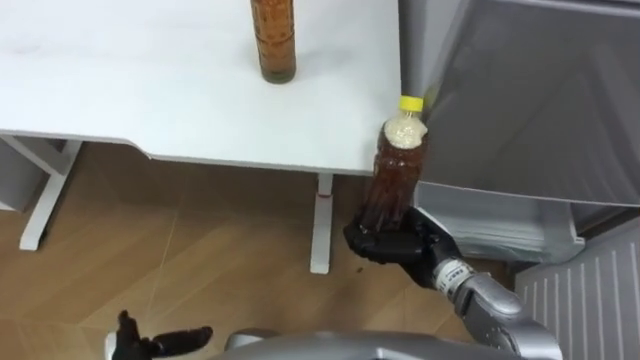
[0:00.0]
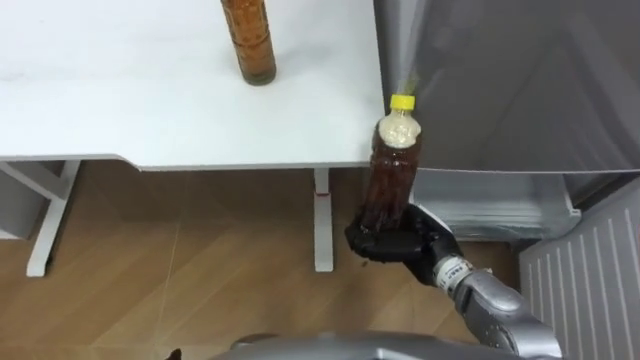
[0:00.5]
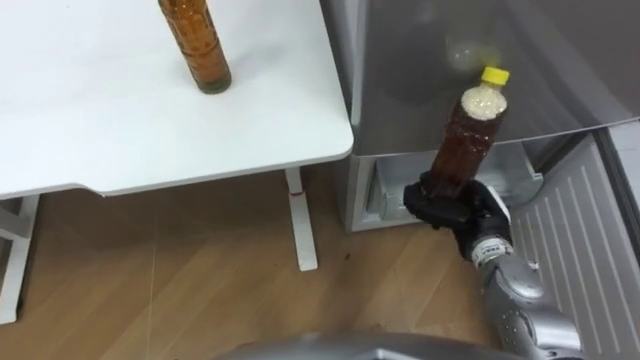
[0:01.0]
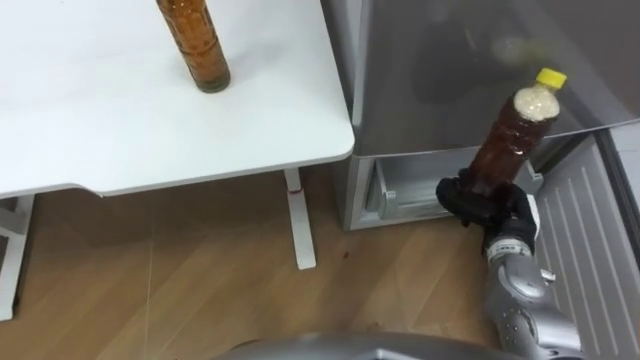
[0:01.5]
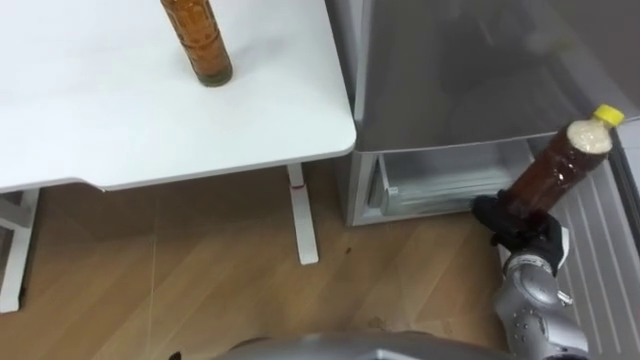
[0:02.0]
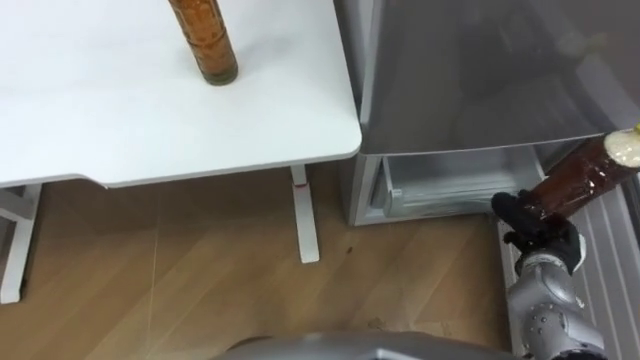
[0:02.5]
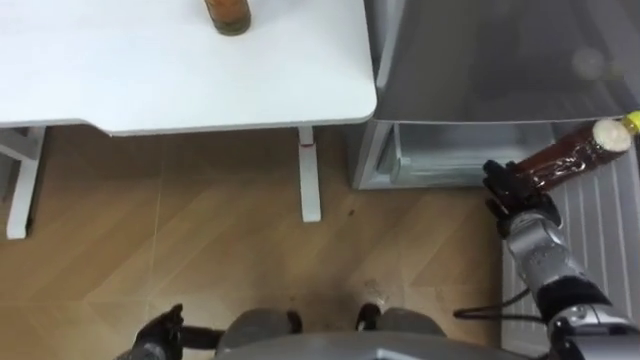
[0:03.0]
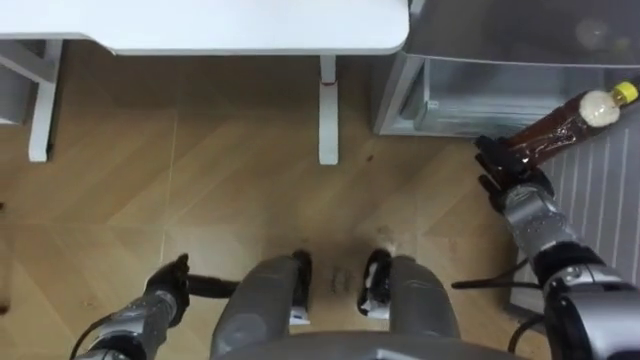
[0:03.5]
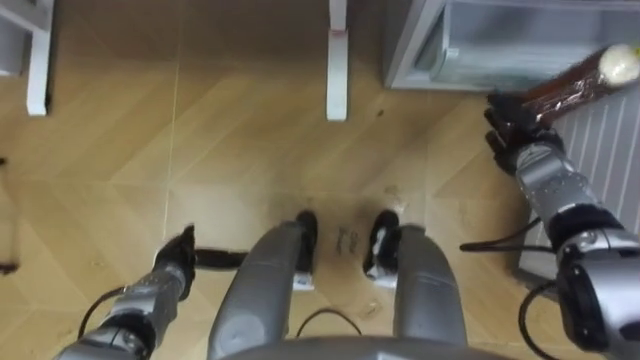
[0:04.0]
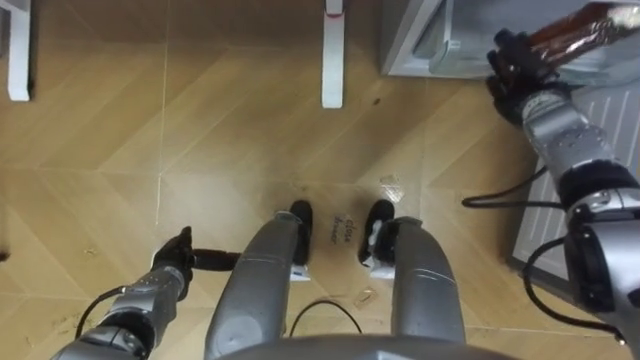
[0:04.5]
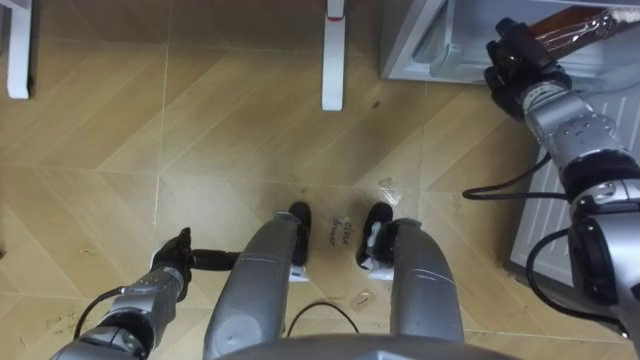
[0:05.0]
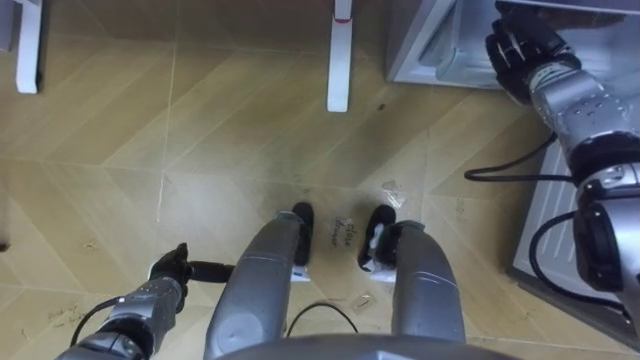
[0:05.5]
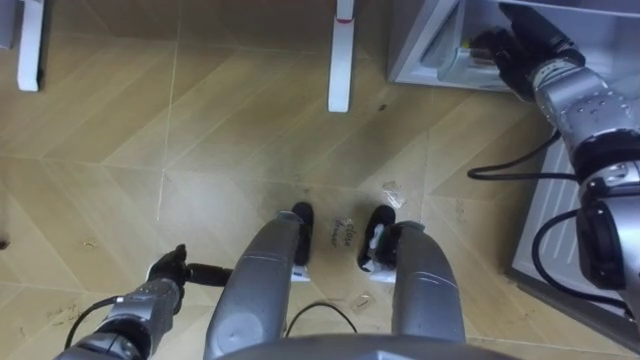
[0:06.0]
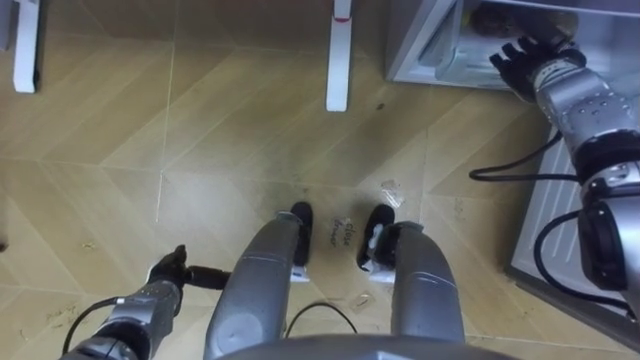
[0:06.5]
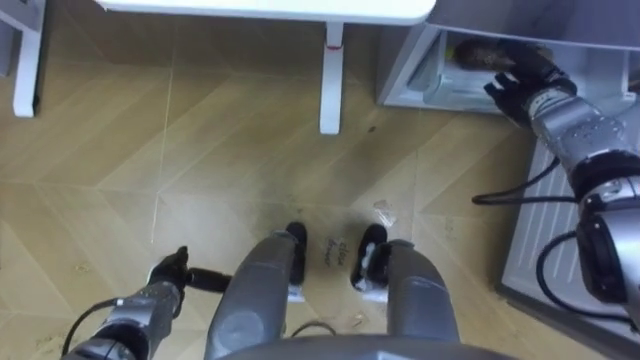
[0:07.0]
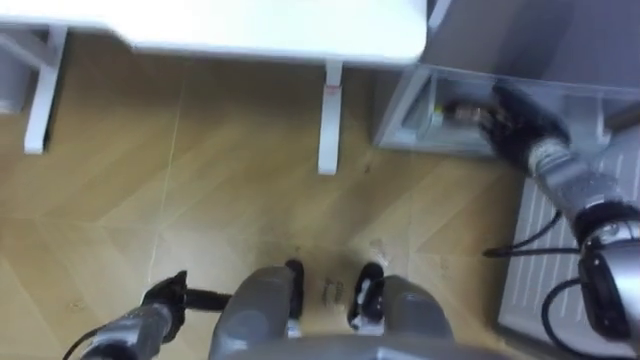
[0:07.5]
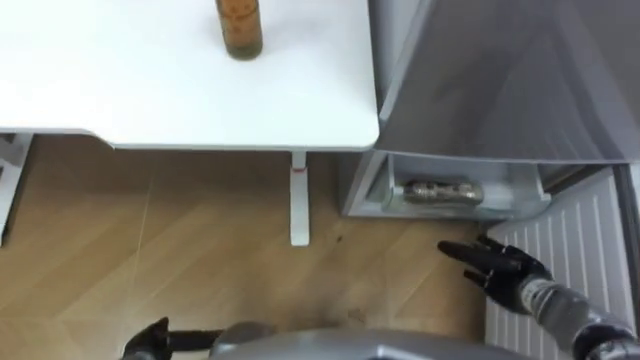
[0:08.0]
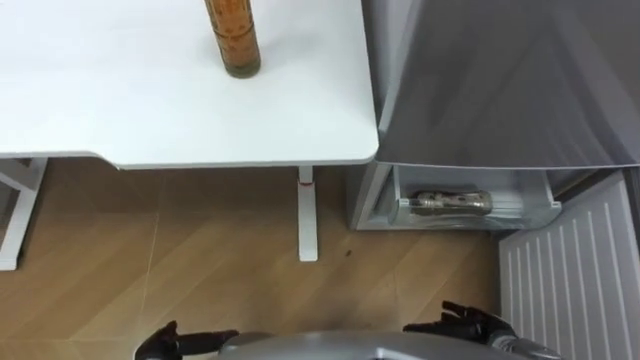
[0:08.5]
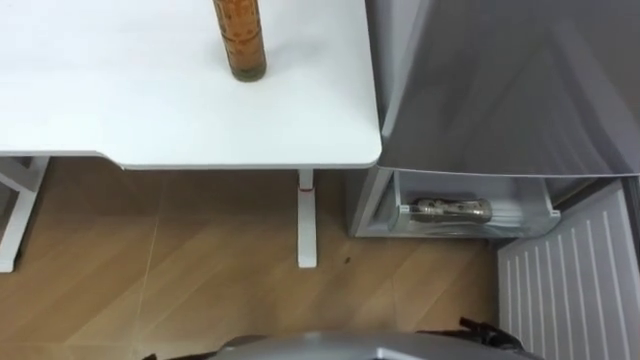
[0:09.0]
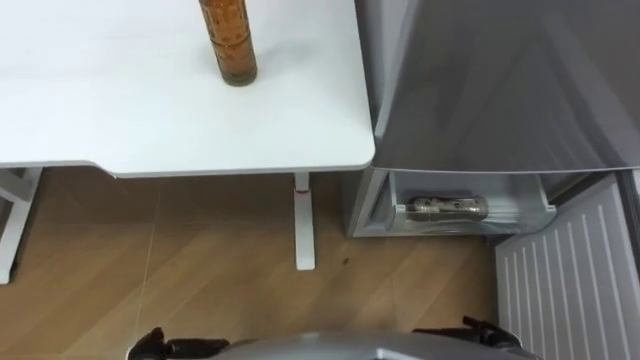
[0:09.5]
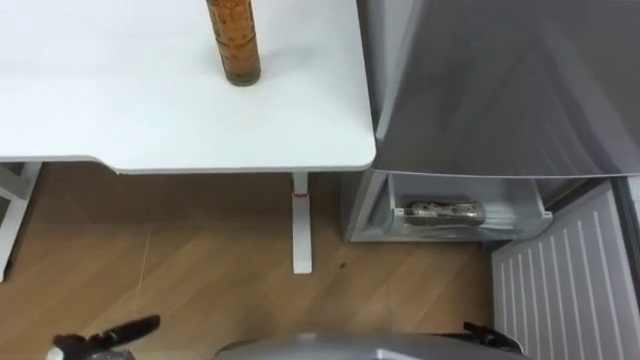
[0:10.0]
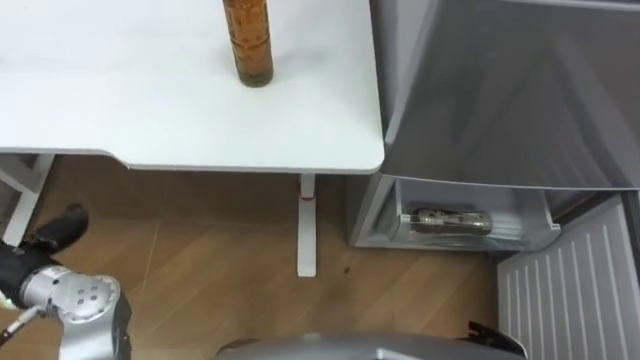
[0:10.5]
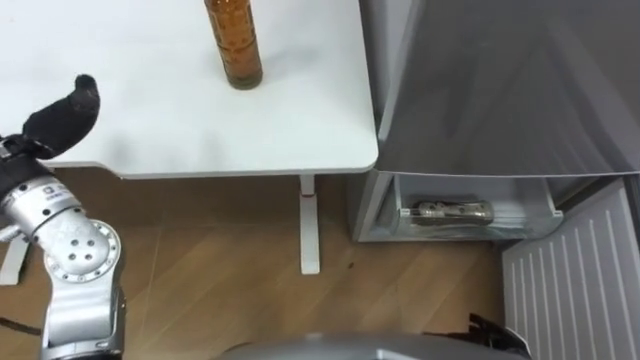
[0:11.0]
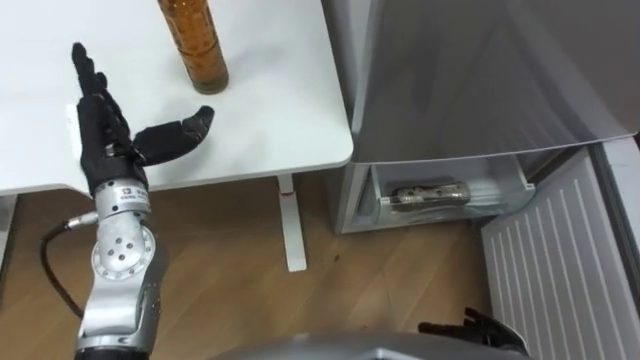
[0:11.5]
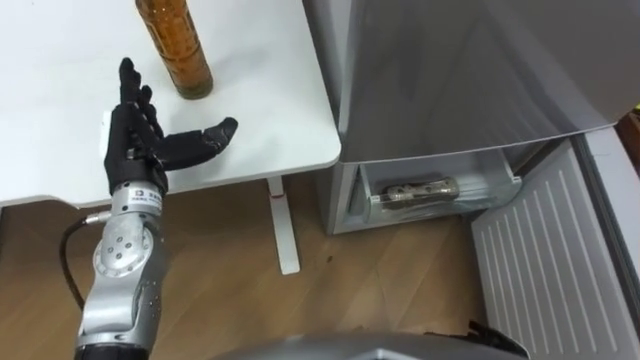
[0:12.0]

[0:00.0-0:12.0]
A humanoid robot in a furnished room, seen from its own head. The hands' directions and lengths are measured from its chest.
Task of the whole recording: Place the drink on the table on the bottom shelf of the refrigerator, then close the drawer and the refrigerator door.
0:00.0 to 0:02.0: The right hand goes roughly 15 cm to the right.
0:02.0 to 0:04.0: The right hand is displaced forward by about 15 cm.
0:04.0 to 0:06.0: The right hand travels upward and forward by about 15 cm, and opens.
0:06.0 to 0:08.0: The left hand is displaced backward by roughly 10 cm. Meanwhile the right hand is displaced backward and downward by approximately 30 cm.

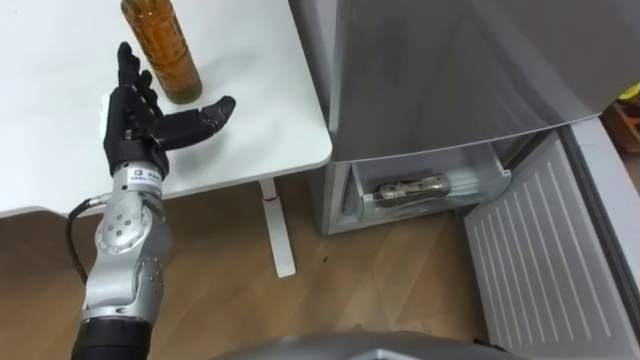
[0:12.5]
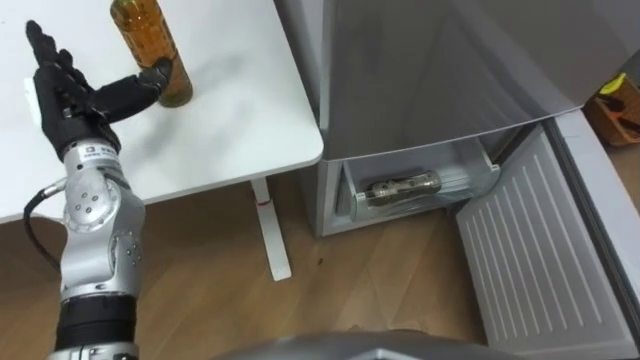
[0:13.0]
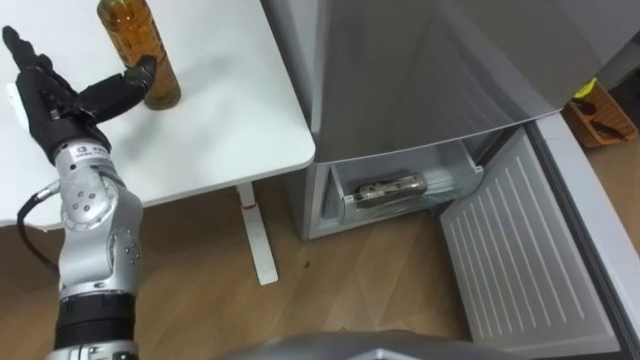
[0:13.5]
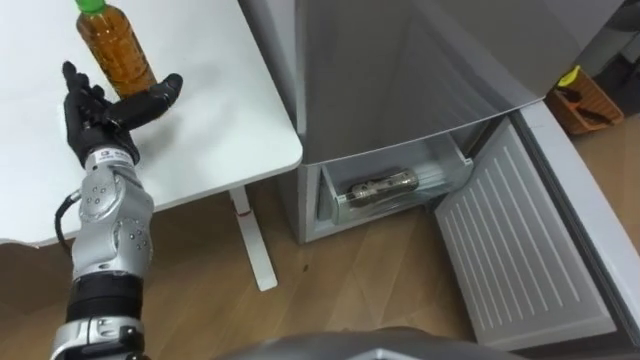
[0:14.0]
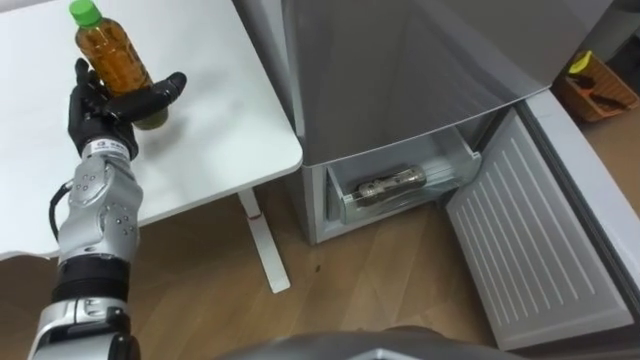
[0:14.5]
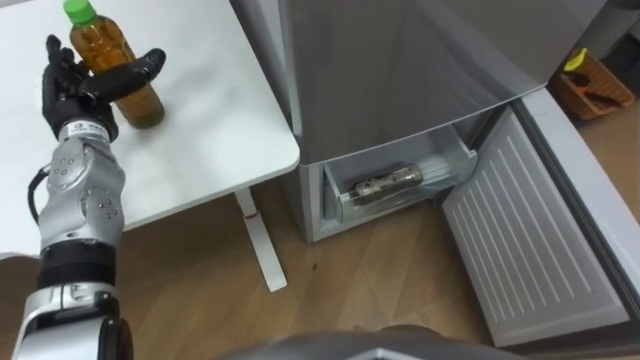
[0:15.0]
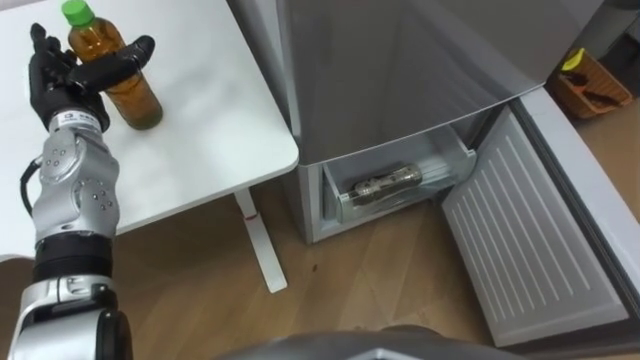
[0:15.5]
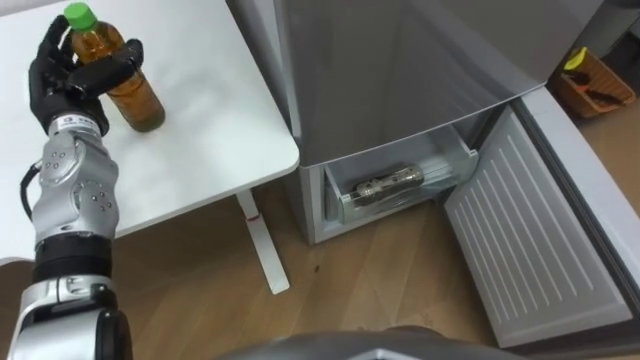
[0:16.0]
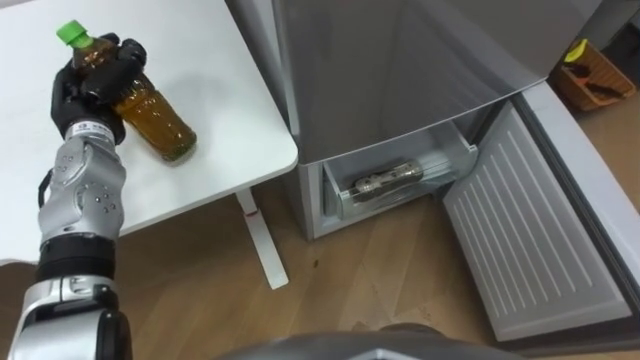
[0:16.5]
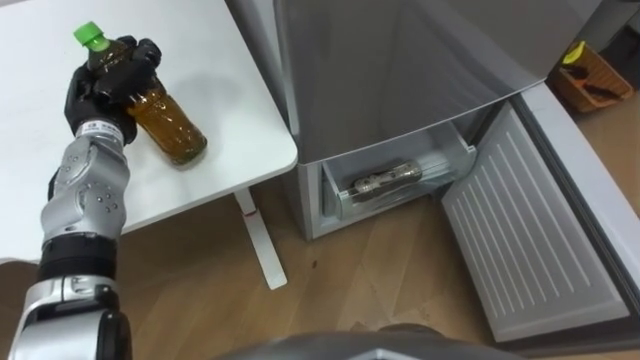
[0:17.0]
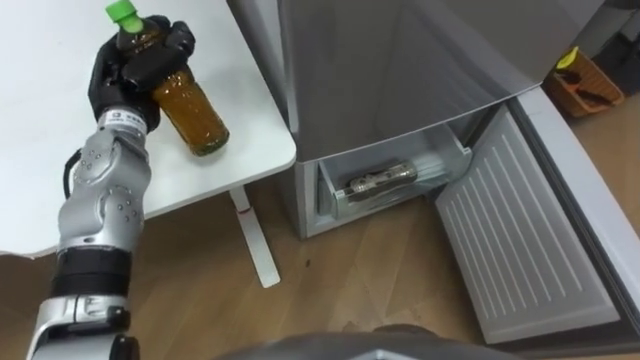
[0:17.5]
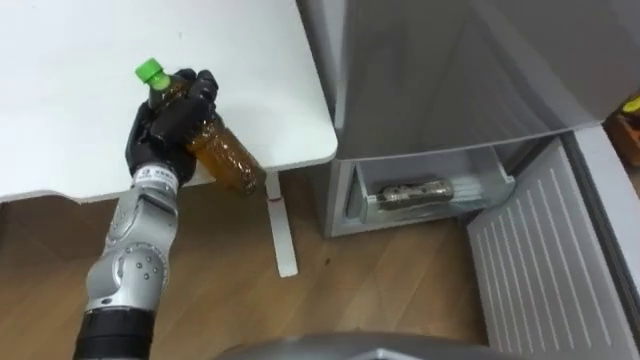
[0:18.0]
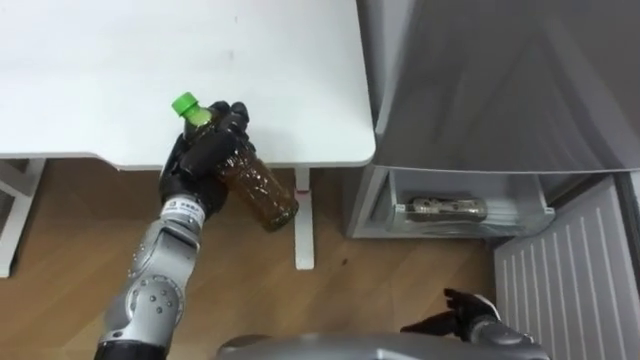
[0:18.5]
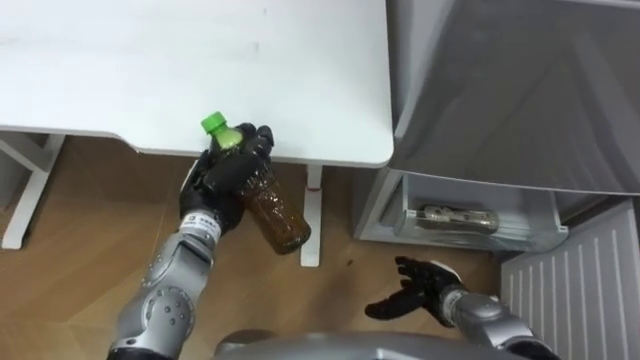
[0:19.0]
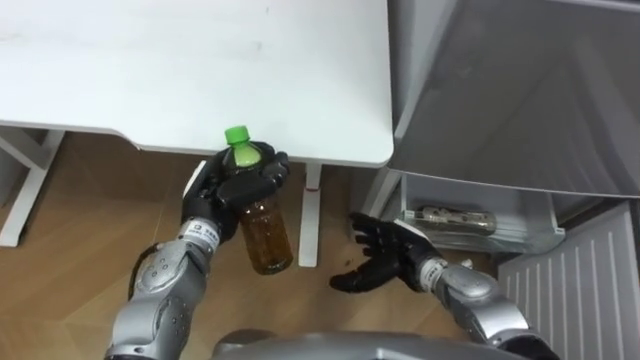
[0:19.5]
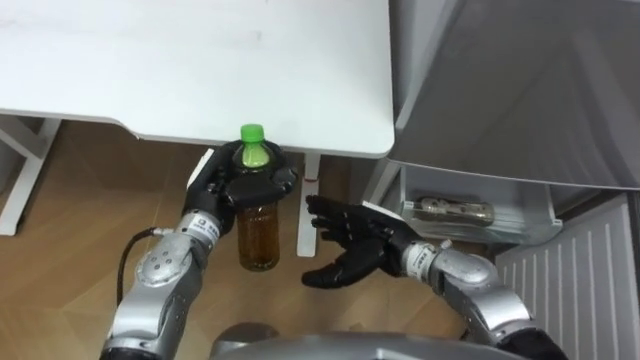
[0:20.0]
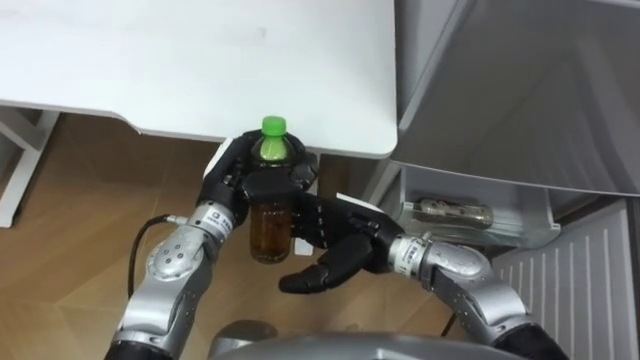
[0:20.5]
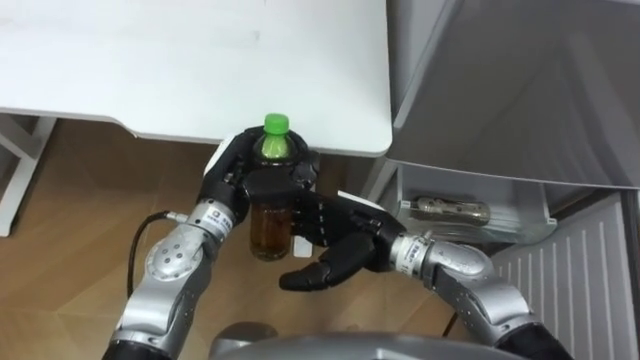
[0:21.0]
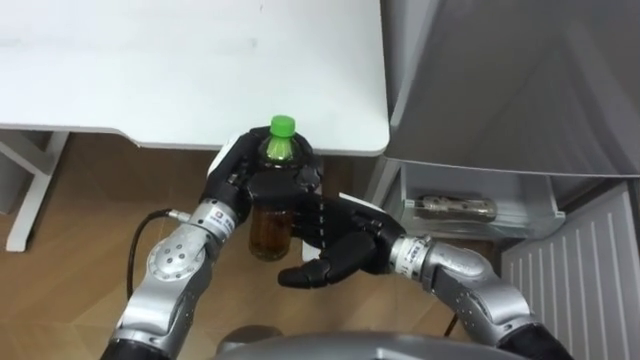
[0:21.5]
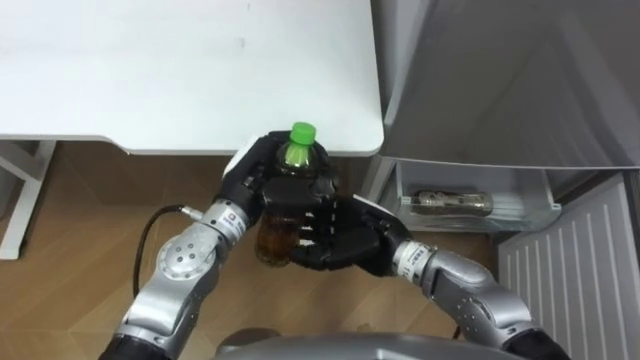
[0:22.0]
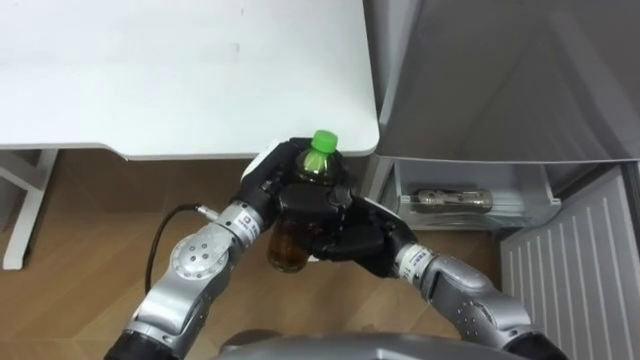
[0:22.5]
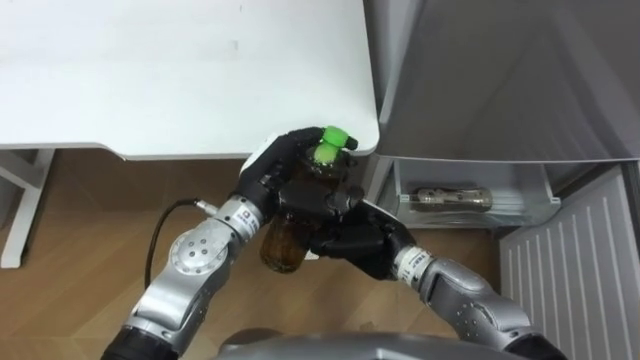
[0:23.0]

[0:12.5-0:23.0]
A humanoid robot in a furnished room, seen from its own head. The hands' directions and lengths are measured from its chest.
Task of the whole recording: Place the drink on the table on the bottom shelf of the refrigerator, then close the drawer and the refrigerator door.
0:12.5 to 0:14.5: The left hand travels to the left by some 5 cm.
0:14.5 to 0:16.5: The left hand closes its fingers.
0:16.5 to 0:19.0: The left hand heads to the right and backward, covering about 15 cm.
0:19.0 to 0:21.0: The right hand moves upward and to the left, some 20 cm.
0:21.0 to 0:23.0: The left hand opens, while the right hand closes up.
